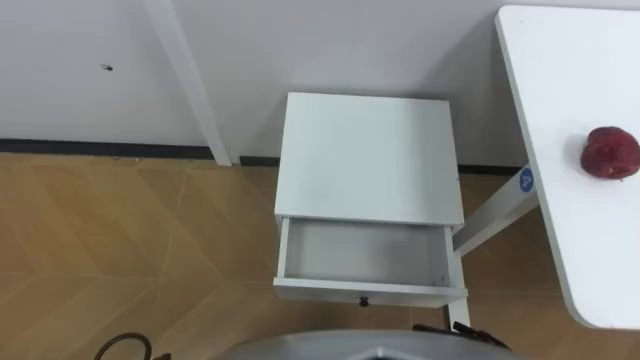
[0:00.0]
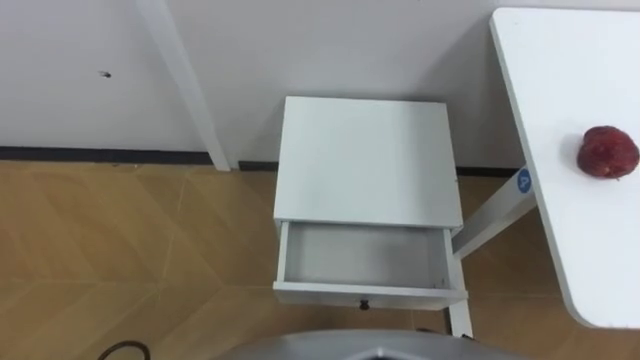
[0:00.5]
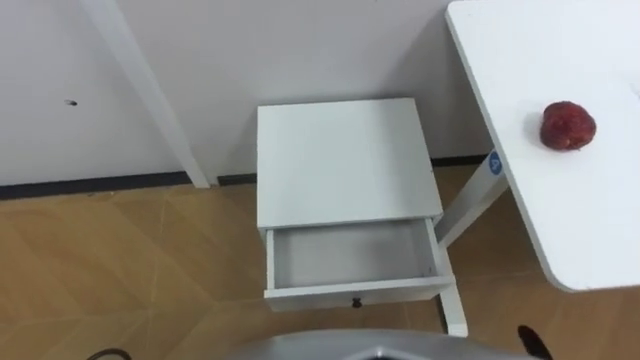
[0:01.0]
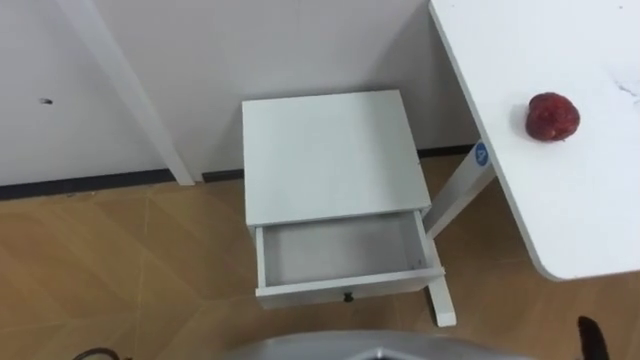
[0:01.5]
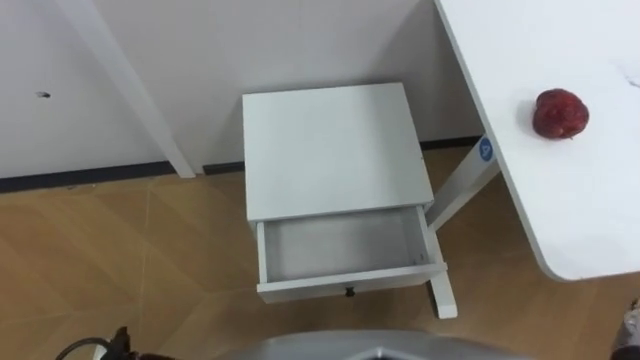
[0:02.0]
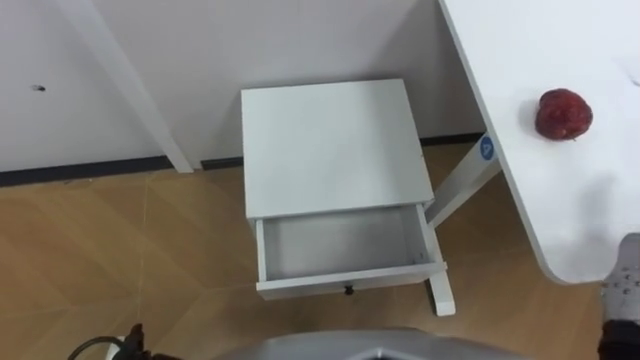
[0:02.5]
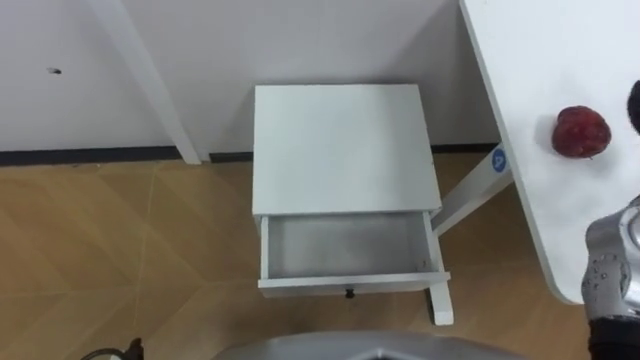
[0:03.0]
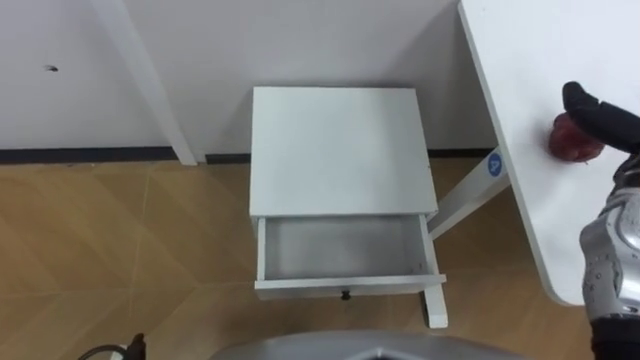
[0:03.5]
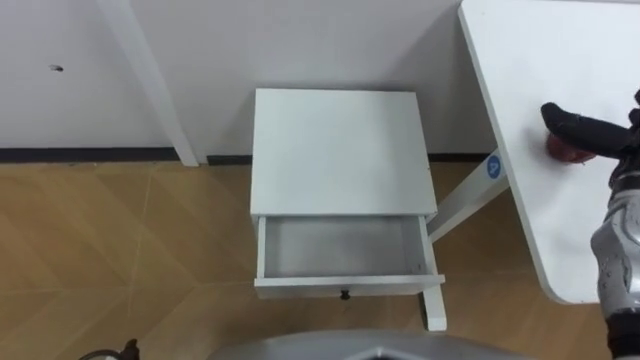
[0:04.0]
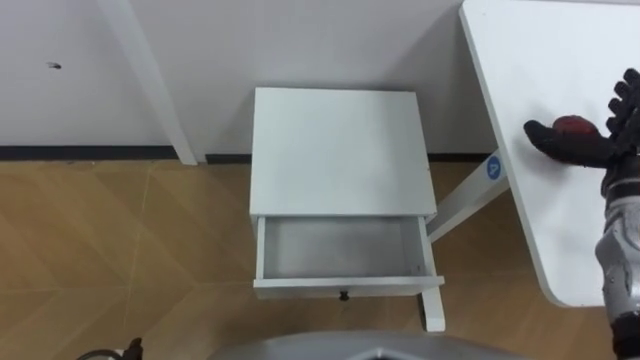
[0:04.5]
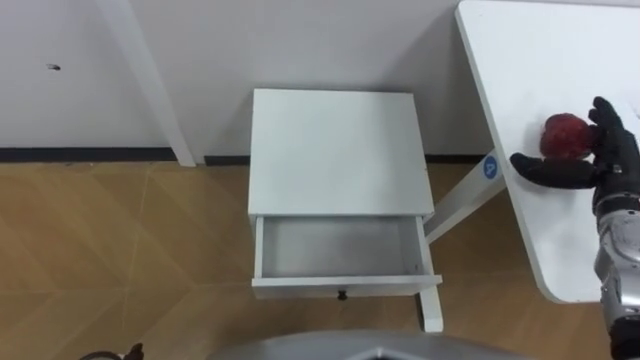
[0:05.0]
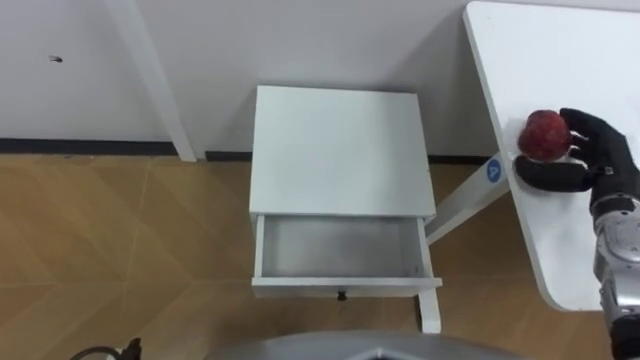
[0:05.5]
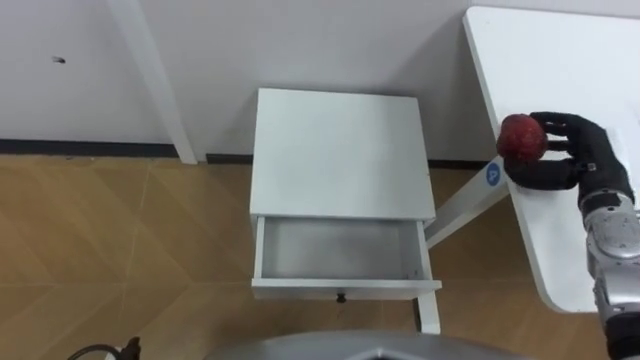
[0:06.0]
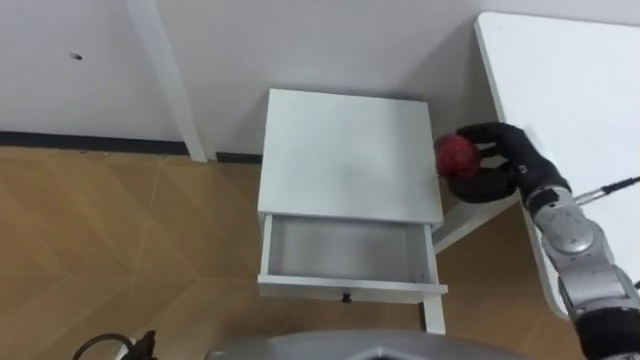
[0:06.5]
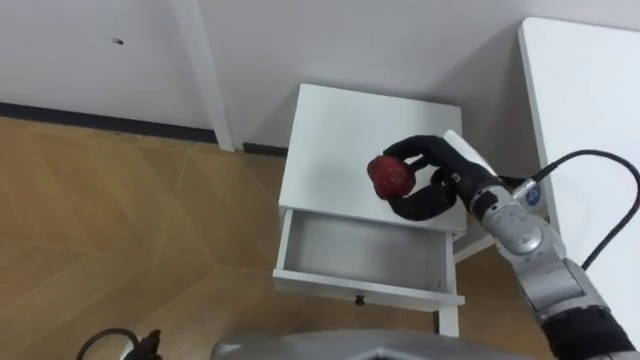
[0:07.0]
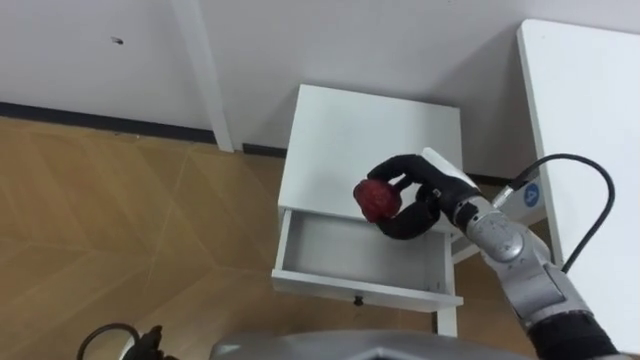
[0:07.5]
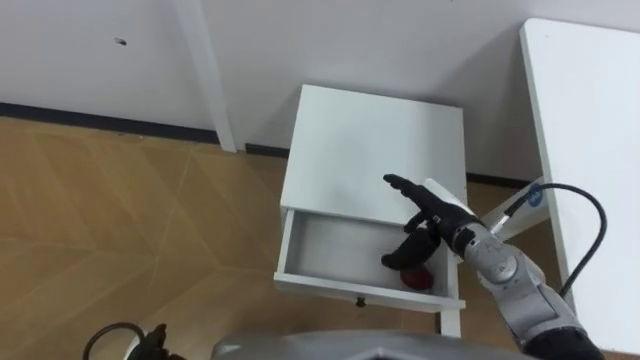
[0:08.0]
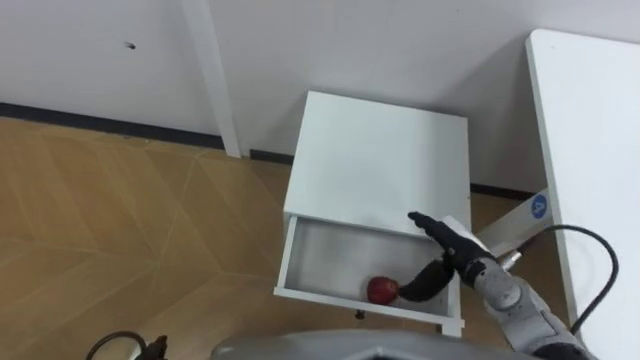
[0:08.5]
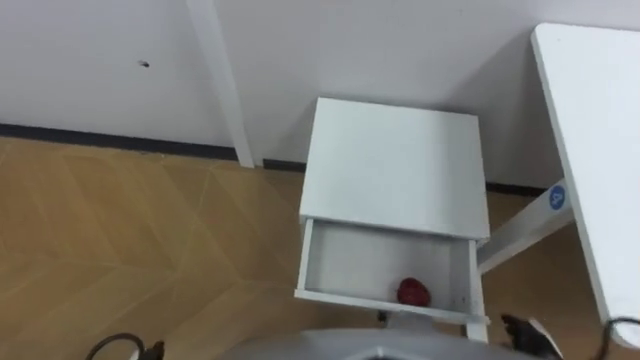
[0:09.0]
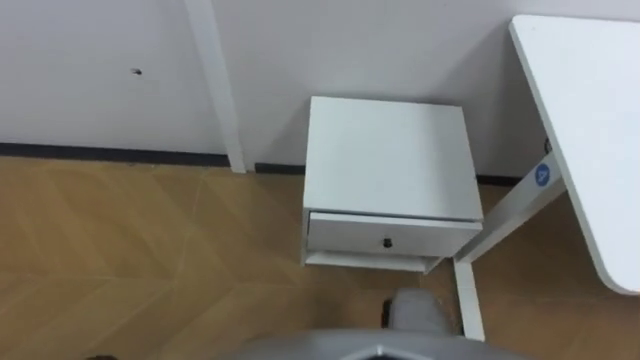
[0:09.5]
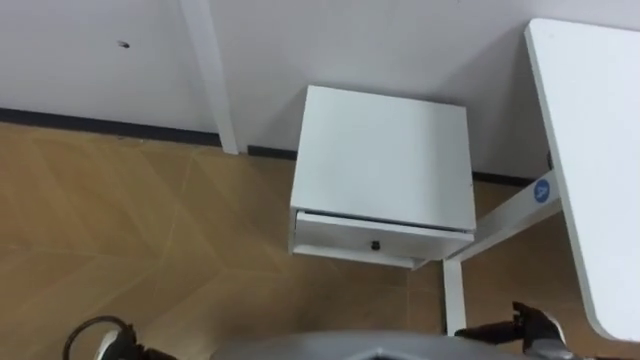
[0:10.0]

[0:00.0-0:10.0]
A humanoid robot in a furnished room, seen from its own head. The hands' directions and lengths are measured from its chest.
Task of the whole recording: Pick up the apple from the table, put it in the drawer, and close the drawer with leg.
0:06.0 to 0:08.0: The right hand goes some 20 cm to the left, and opens its fingers.

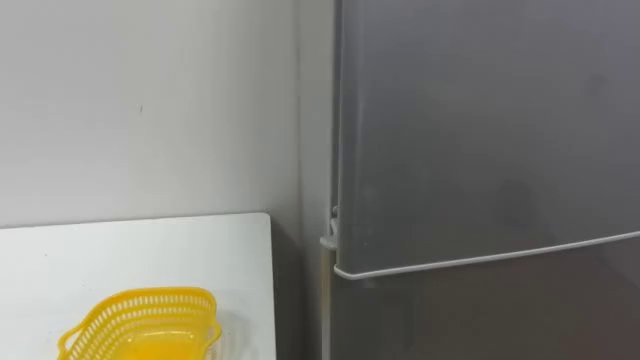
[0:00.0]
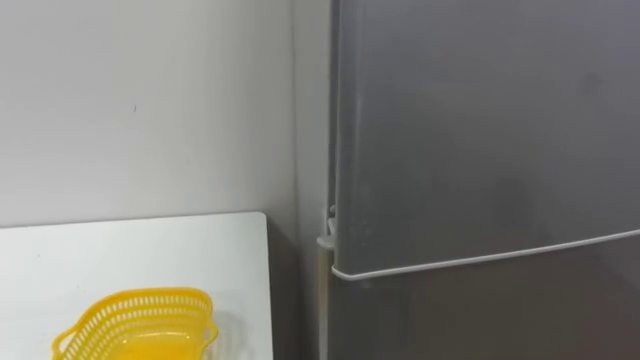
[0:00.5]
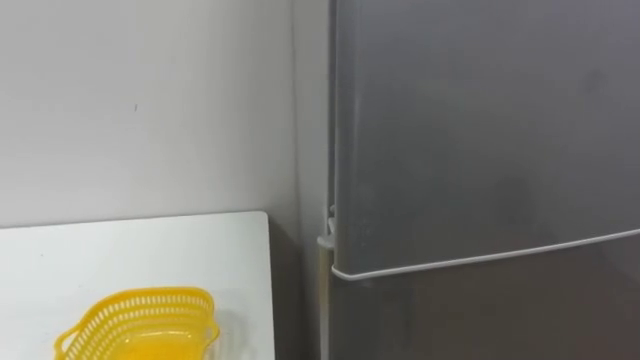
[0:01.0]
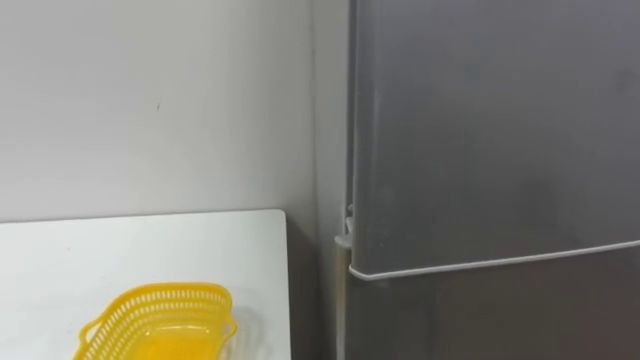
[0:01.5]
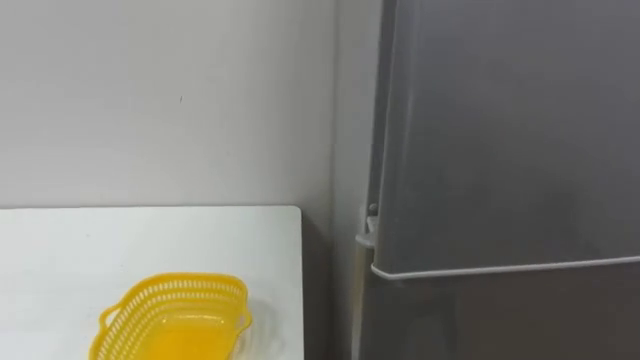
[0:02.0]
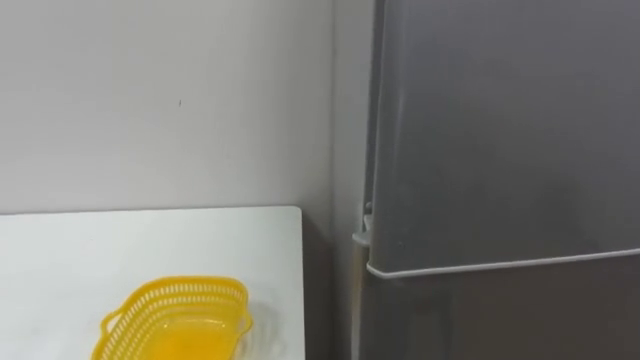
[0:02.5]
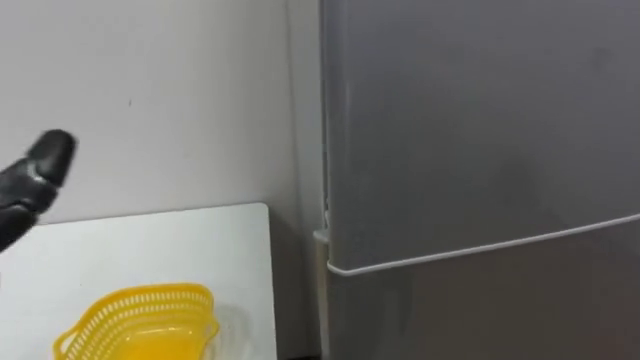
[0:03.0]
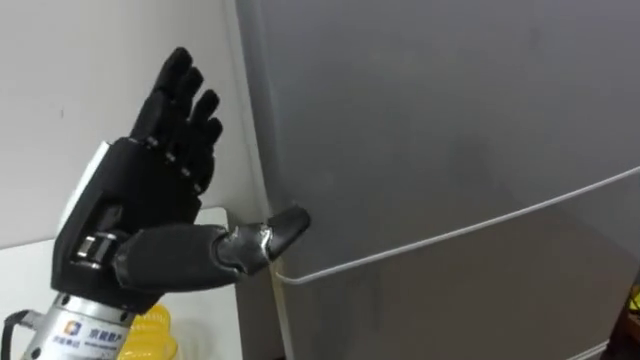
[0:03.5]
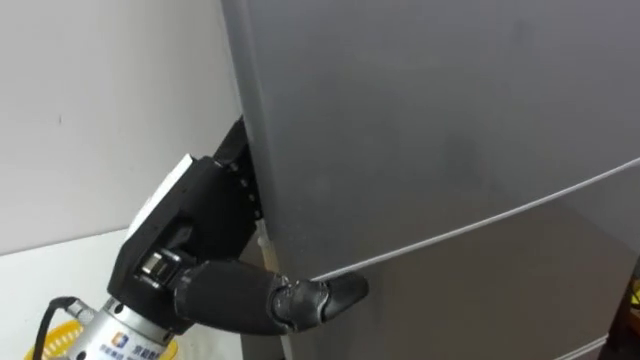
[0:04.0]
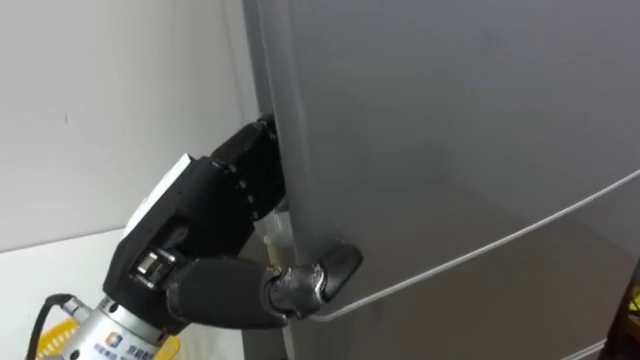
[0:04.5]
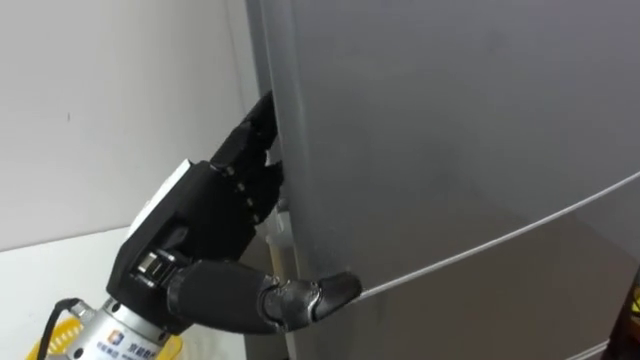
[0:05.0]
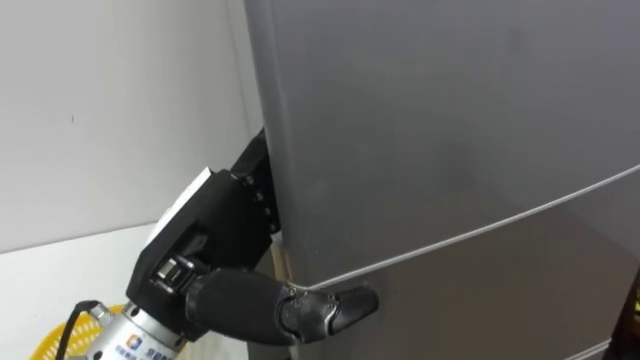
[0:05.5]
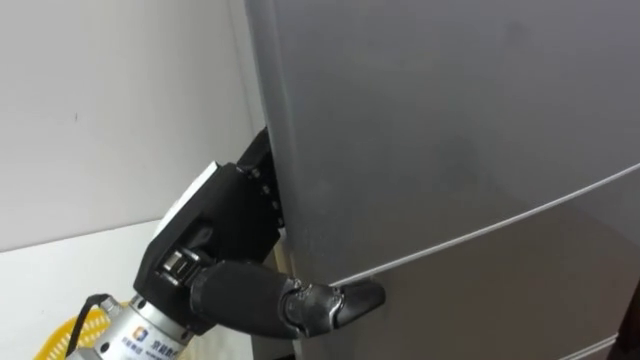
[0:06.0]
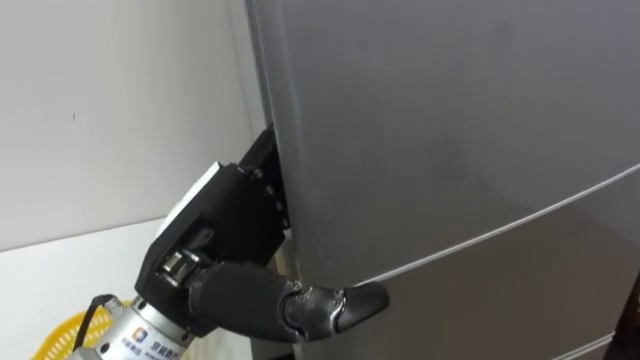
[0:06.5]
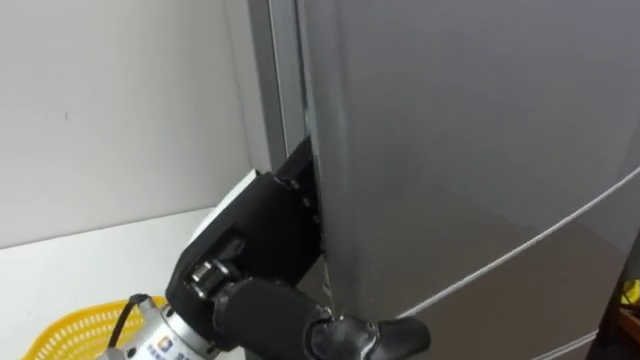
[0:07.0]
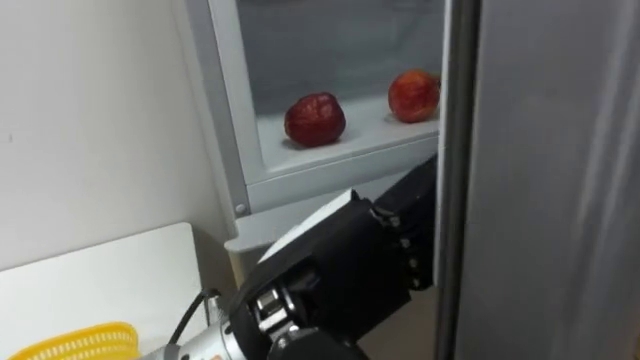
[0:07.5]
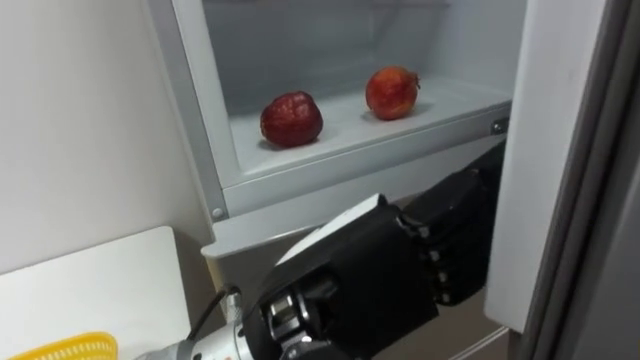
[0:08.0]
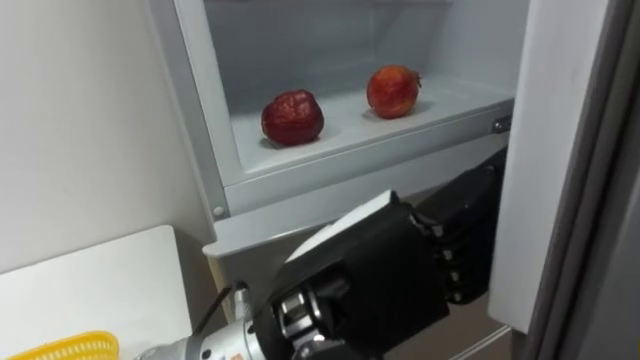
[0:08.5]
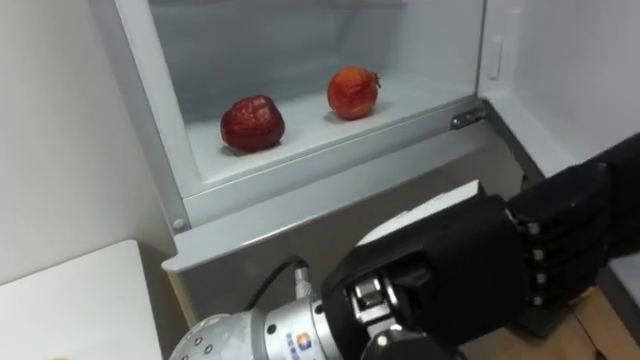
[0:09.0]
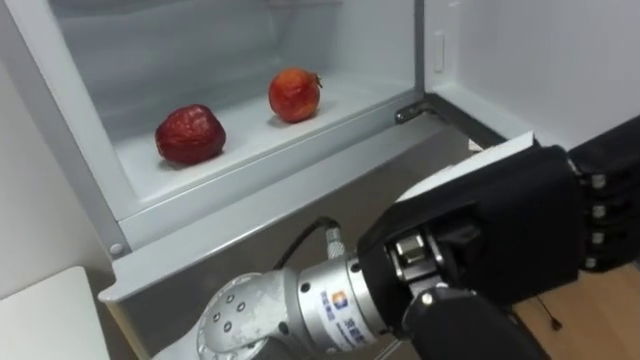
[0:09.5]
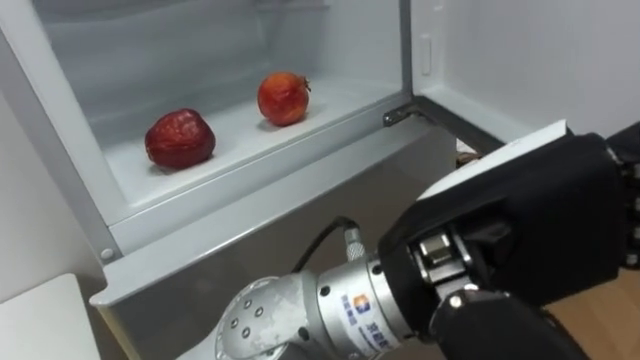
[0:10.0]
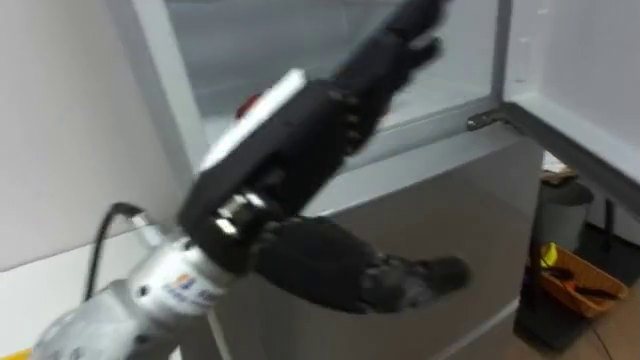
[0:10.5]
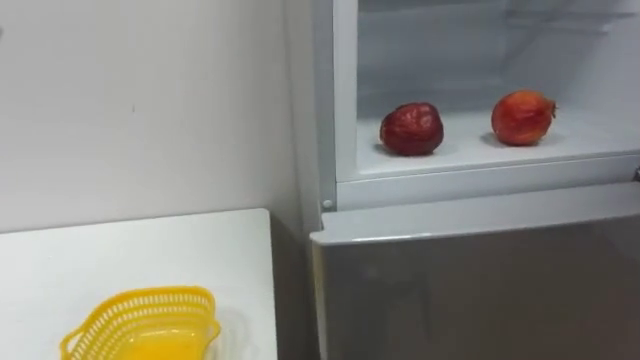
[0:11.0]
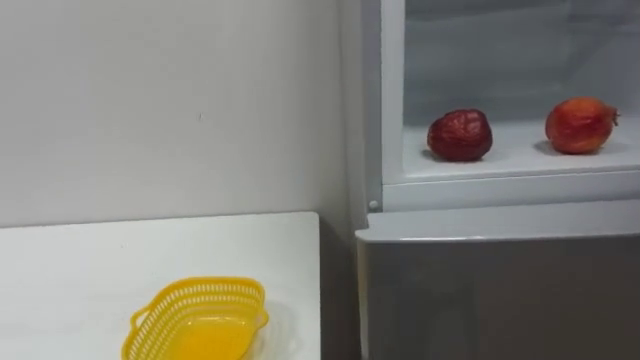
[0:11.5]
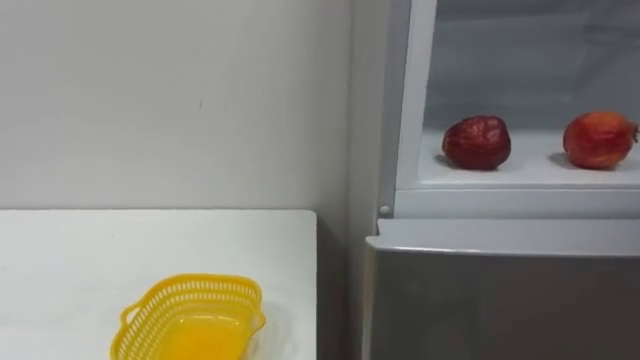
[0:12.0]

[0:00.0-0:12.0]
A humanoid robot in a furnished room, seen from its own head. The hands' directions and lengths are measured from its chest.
Task of the whole recording: Open the refrigerator door, take out the apple and the pomegranate, place them in the fruit basket on the left, and close the refrigerator door.
0:06.0 to 0:08.0: The left hand goes some 10 cm to the right and backward.
0:08.0 to 0:10.0: The left hand travels to the right and upward by some 10 cm.
